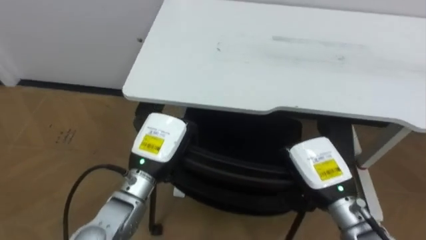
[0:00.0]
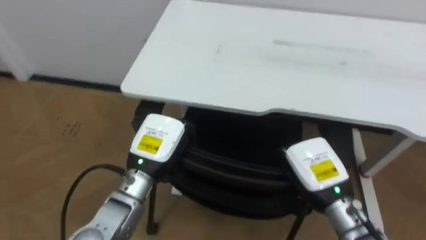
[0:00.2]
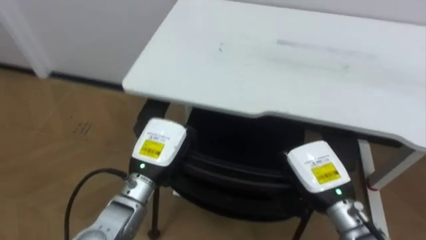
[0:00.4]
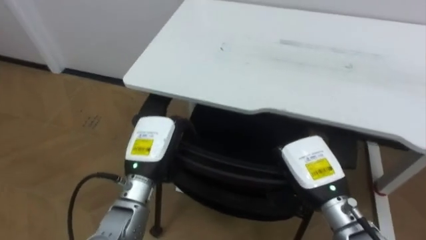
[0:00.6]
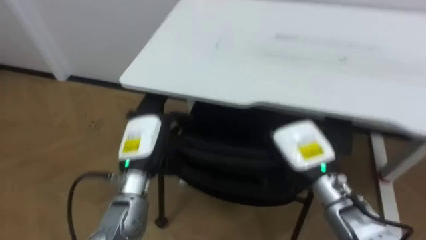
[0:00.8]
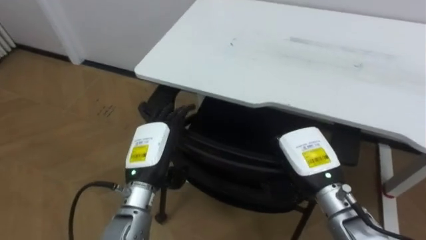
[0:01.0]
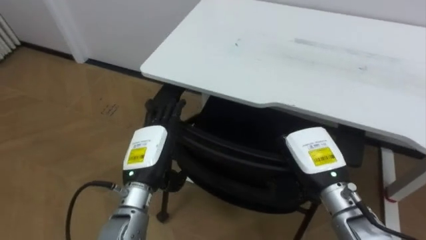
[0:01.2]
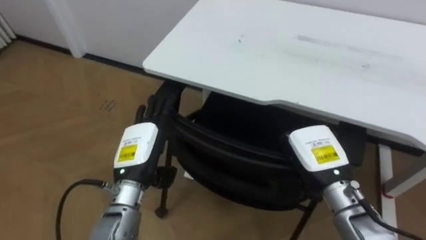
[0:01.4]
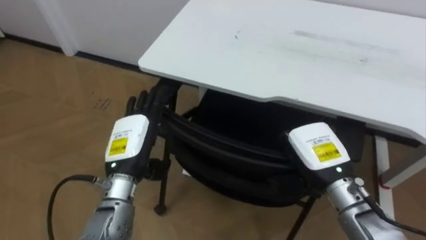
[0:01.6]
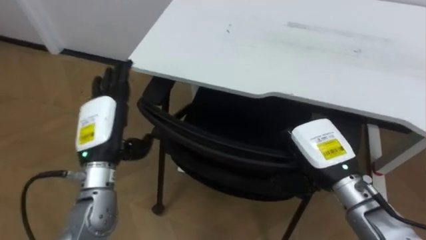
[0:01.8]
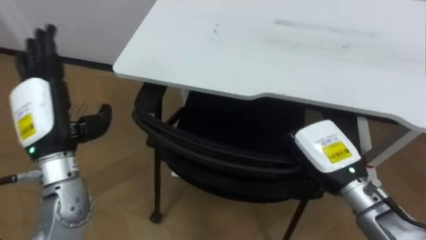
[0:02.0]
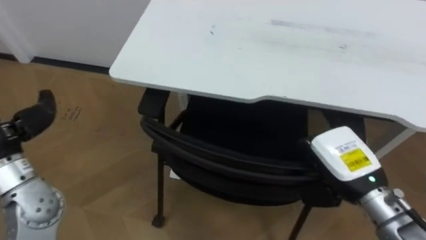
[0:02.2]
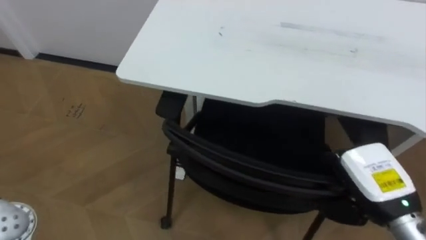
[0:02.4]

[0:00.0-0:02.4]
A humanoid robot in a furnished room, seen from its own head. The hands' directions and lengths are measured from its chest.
Task of the whole recording: Push the chair under the table.
0:00.0 to 0:01.2: The left hand opens.
0:01.2 to 0:02.4: The right hand is displaced to the right by approximately 10 cm.

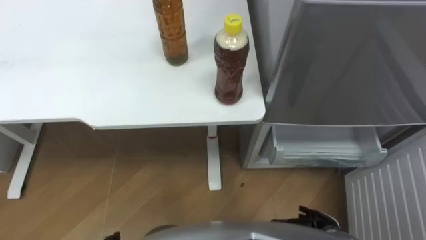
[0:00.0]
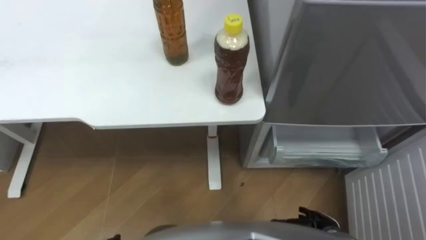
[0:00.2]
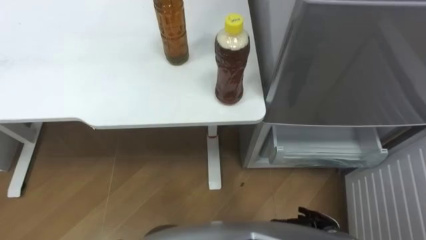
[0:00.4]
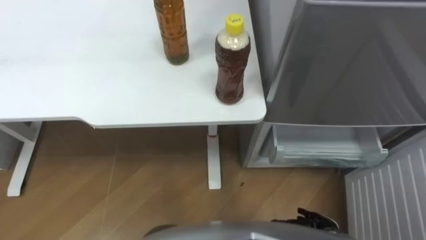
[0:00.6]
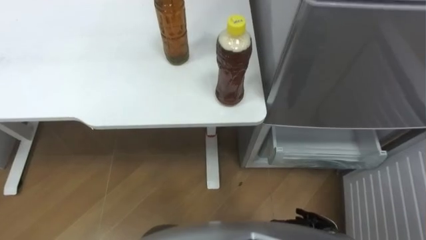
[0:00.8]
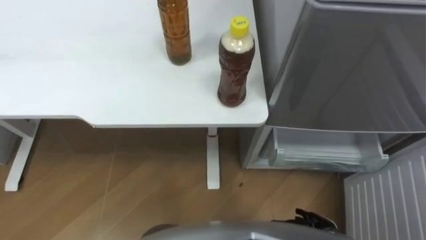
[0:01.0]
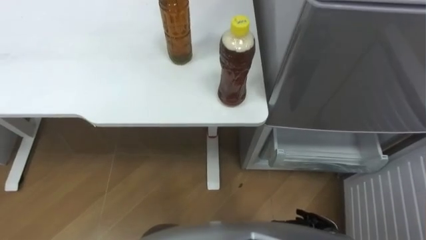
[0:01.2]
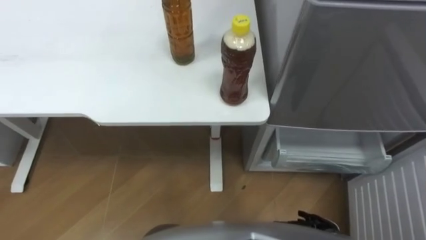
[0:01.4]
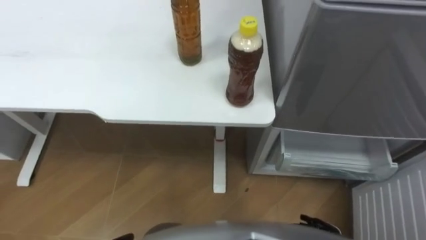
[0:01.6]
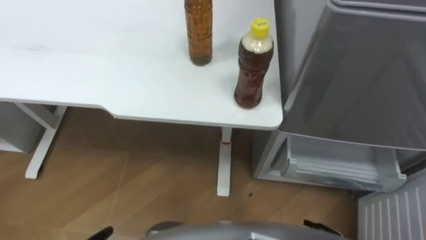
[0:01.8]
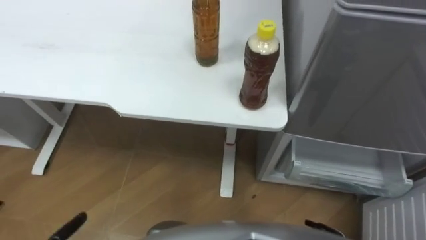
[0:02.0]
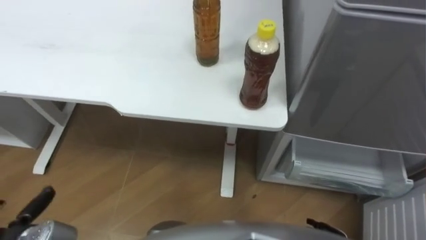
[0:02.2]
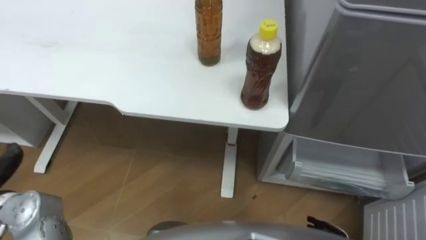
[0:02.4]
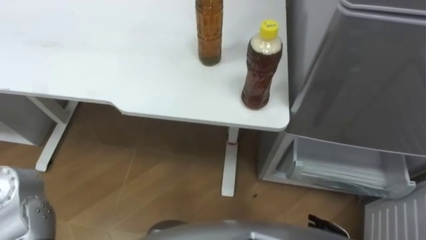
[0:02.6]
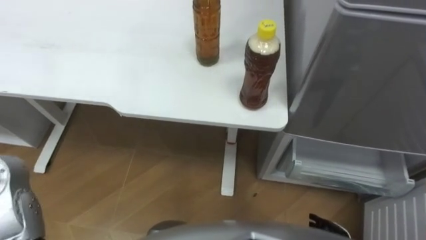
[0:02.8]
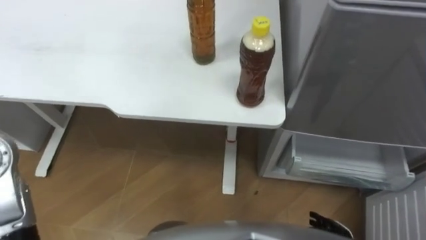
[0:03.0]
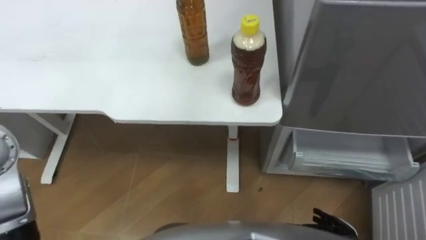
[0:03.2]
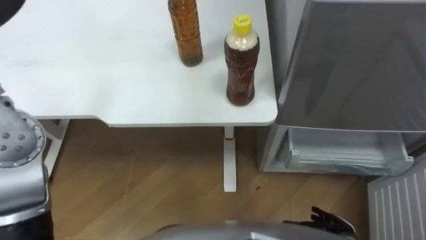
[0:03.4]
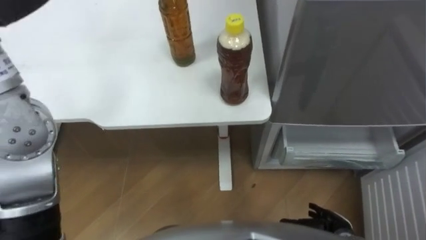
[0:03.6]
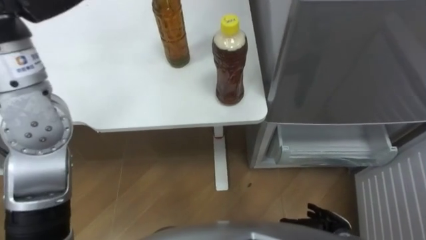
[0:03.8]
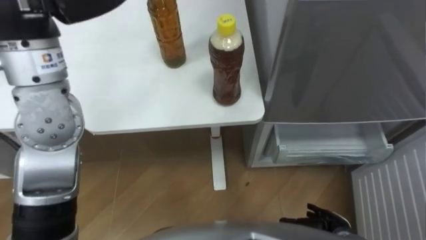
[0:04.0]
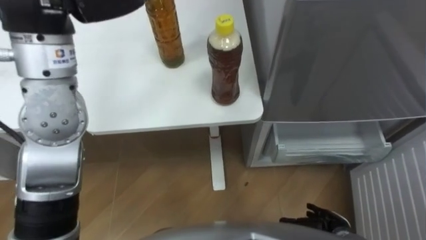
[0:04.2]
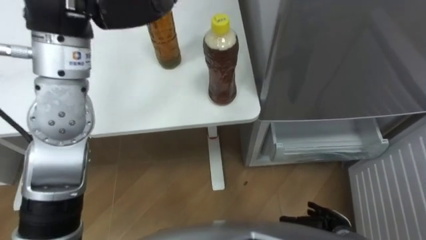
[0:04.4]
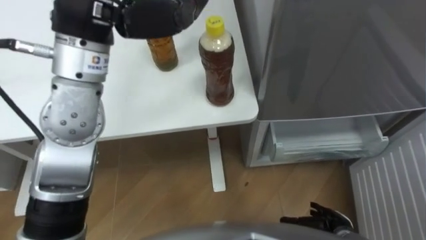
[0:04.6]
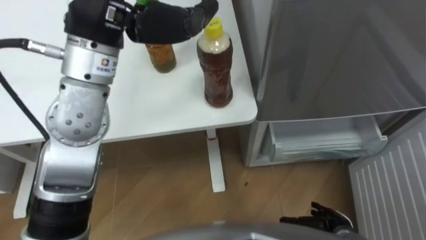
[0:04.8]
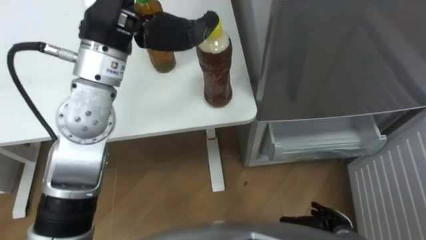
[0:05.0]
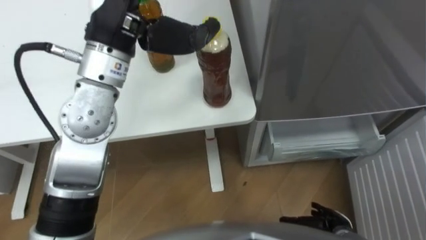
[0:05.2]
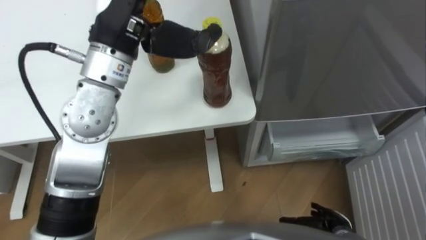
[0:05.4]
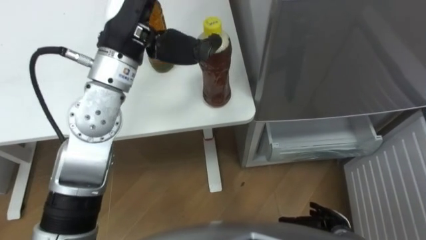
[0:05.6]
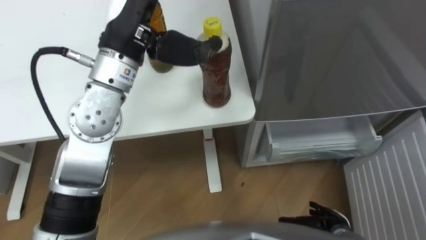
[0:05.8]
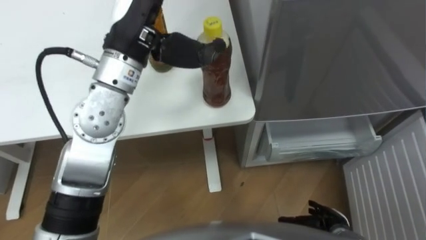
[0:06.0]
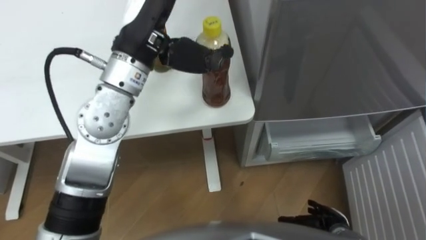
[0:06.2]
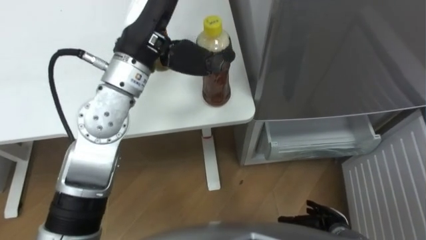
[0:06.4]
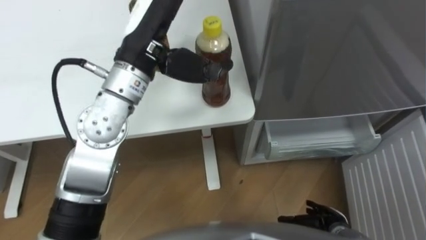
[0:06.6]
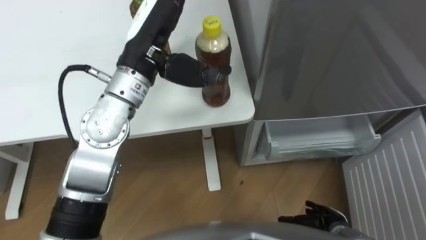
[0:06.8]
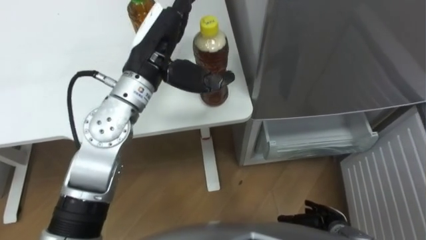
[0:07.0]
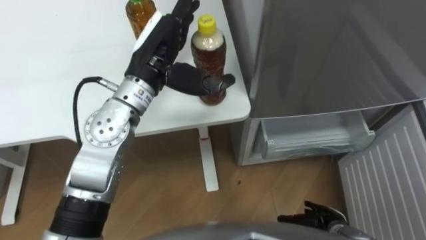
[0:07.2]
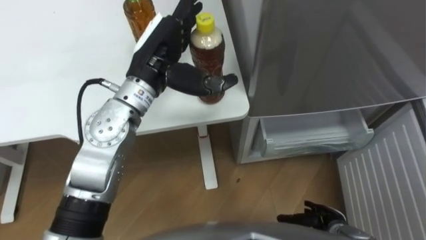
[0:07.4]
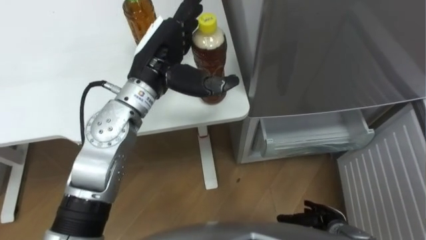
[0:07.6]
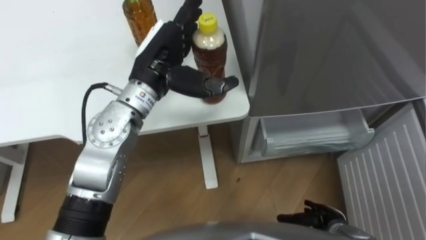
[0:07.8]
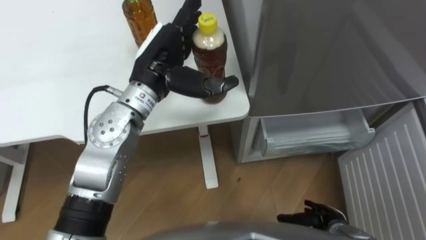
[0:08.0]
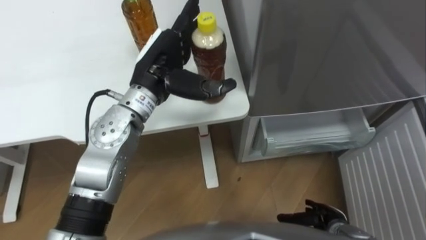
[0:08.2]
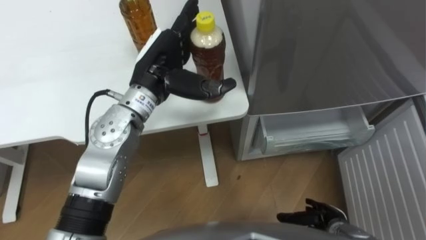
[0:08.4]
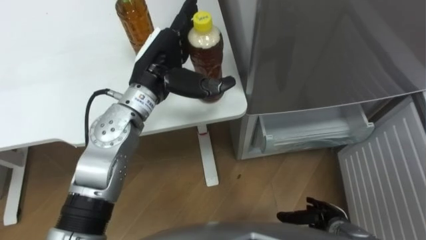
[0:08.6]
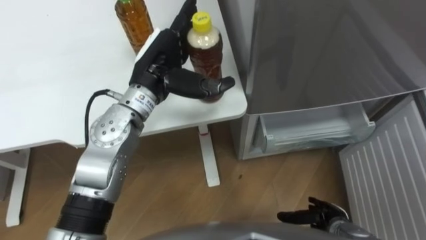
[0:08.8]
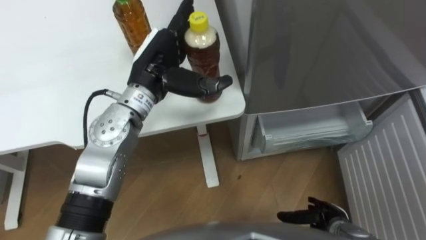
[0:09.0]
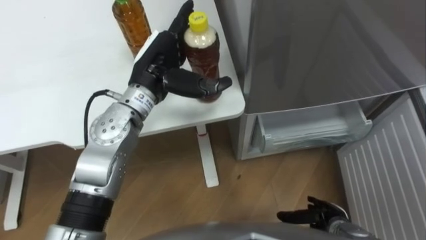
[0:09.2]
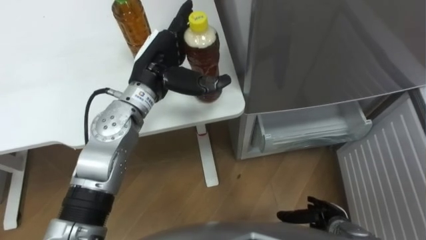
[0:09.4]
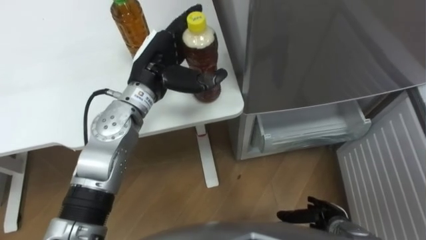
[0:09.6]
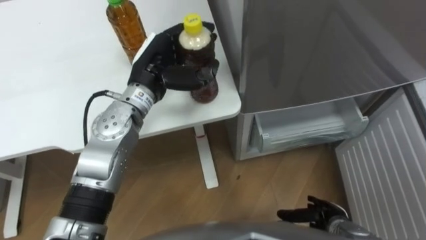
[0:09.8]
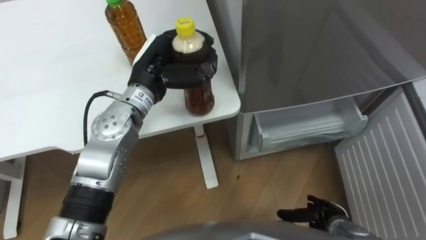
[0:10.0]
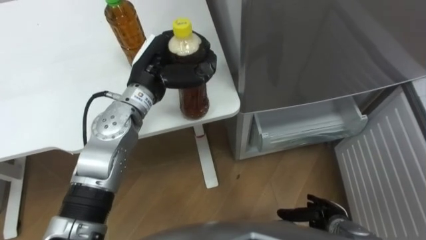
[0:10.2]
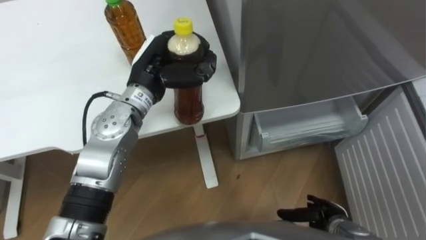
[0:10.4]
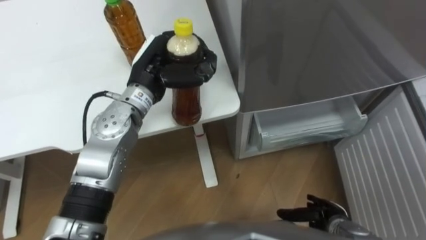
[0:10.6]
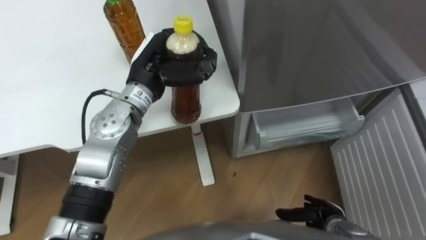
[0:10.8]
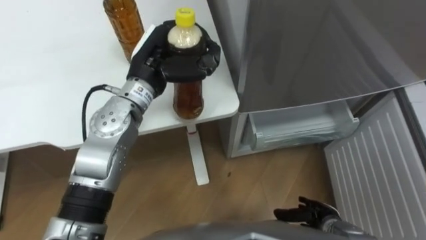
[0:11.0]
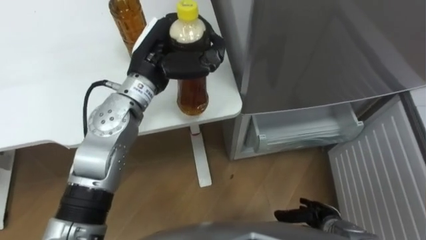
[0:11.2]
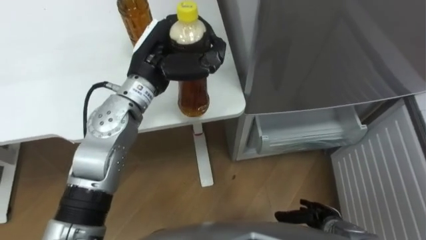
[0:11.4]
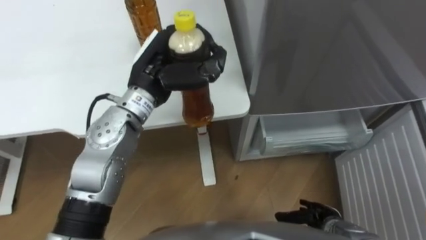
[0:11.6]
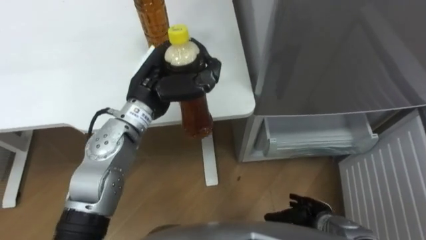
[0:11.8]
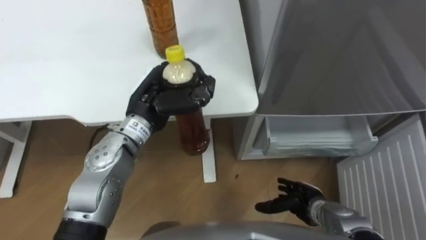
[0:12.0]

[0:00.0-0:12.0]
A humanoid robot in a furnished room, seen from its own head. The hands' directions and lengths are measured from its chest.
Task of the whole recording: Place the drink on the table on the bottom shelf of the refrigerator, then close the drawer and the refrigerator door.
0:04.4 to 0:06.0: The left hand travels downward and to the right by roughly 10 cm.
0:06.0 to 0:07.6: The left hand travels downward by about 10 cm.
0:07.6 to 0:09.0: The hands stay close to where they were, moving slightly.
0:09.0 to 0:10.4: The left hand closes up.
0:10.4 to 0:12.0: The right hand changes place by about 5 cm, while the left hand ends up approximately 5 cm from where it was.

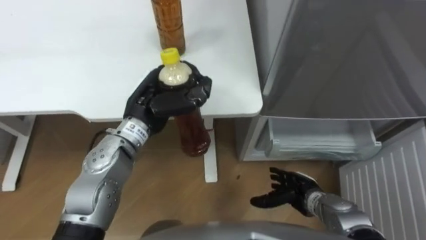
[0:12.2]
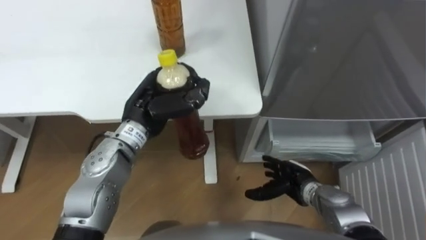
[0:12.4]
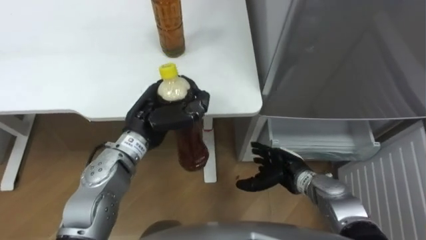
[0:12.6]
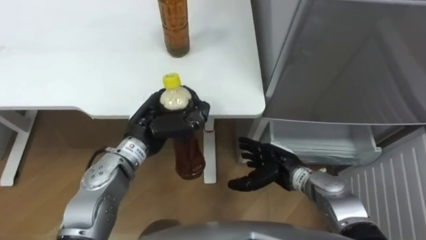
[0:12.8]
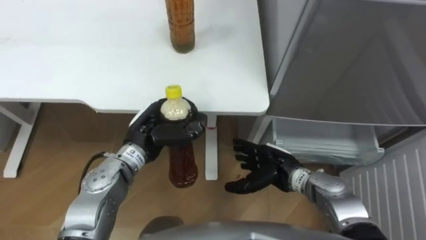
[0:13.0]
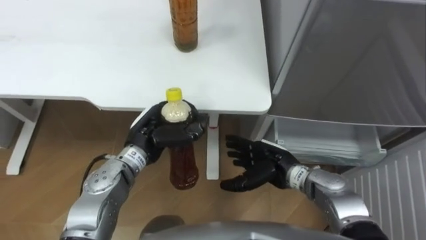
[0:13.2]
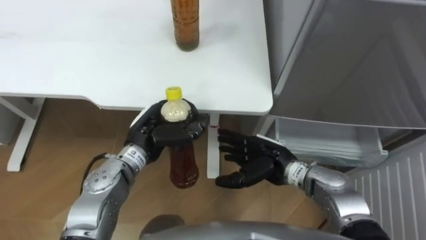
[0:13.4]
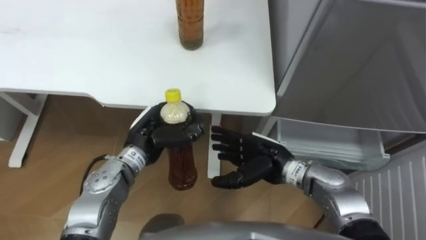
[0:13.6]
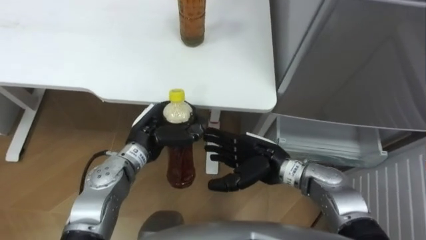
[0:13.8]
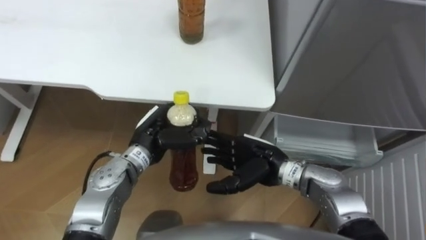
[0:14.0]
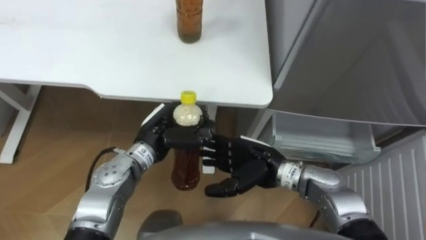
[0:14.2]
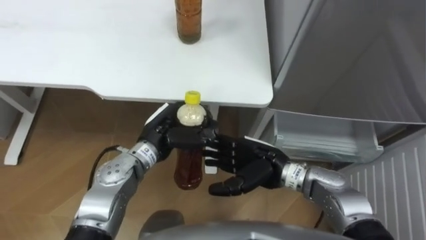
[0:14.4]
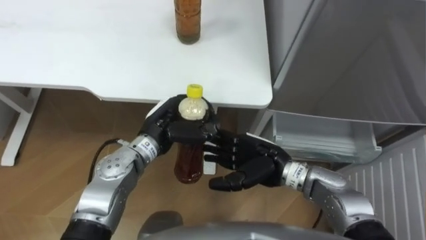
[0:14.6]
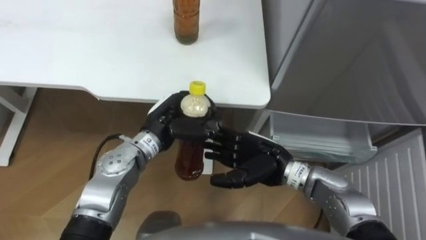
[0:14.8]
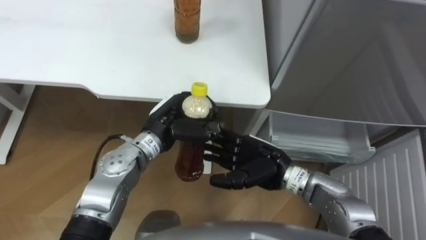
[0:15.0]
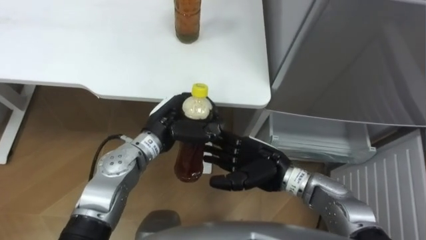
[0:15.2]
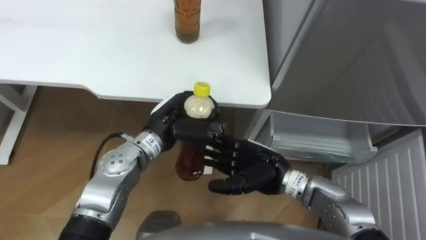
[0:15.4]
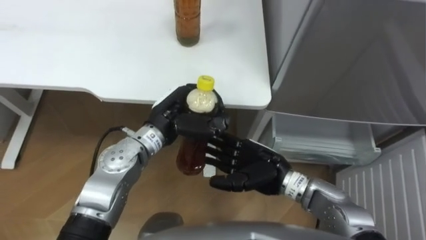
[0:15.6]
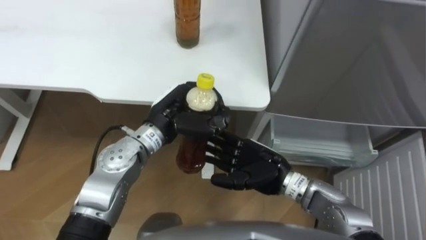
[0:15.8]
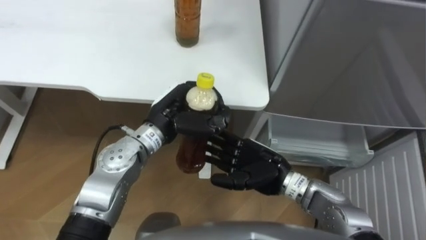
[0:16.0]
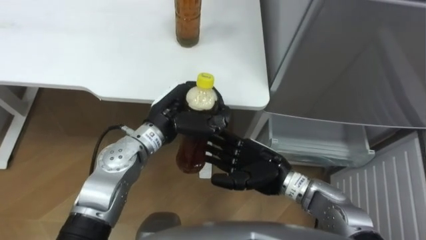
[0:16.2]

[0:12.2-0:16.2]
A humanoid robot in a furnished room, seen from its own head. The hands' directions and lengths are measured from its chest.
Task of the whole recording: Place the drink on the table on the bottom shelf of the refrigerator, then close the drawer and the refrigerator door.
0:12.2 to 0:13.6: The right hand goes approximately 15 cm upward, to the left and forward; the left hand goes approximately 5 cm downward.
0:14.8 to 0:16.2: The hands move only a little.
